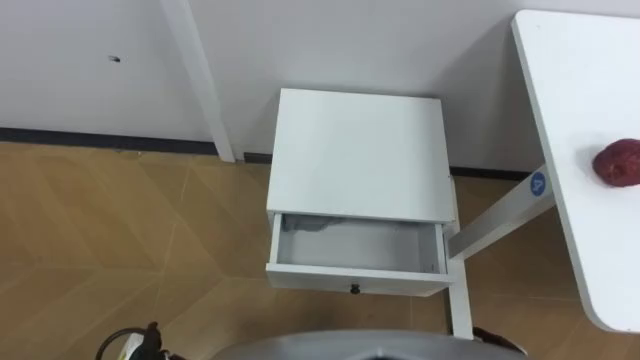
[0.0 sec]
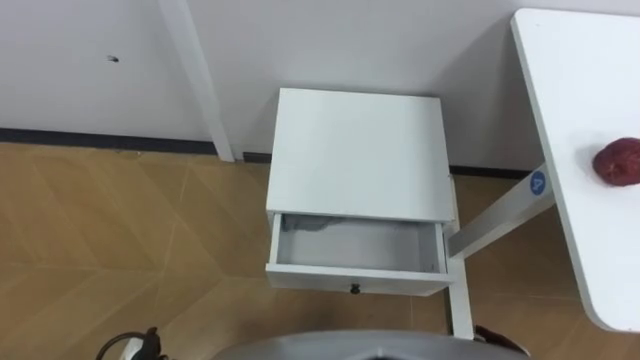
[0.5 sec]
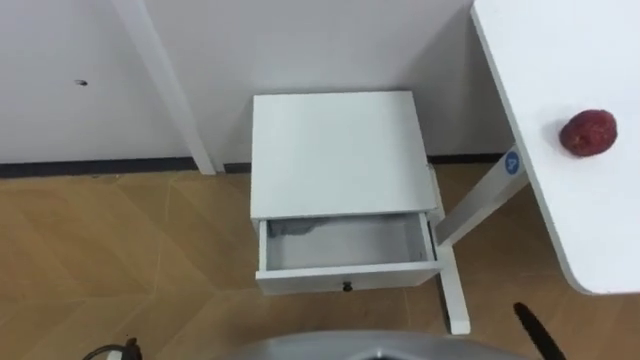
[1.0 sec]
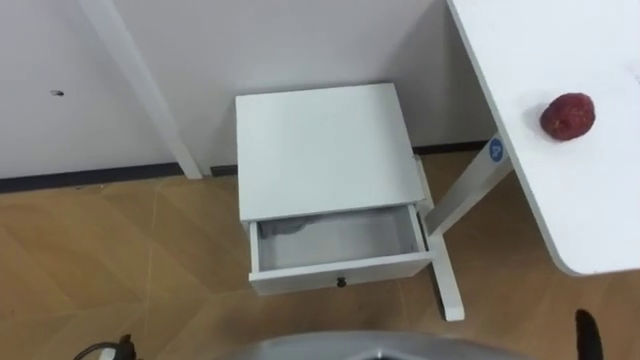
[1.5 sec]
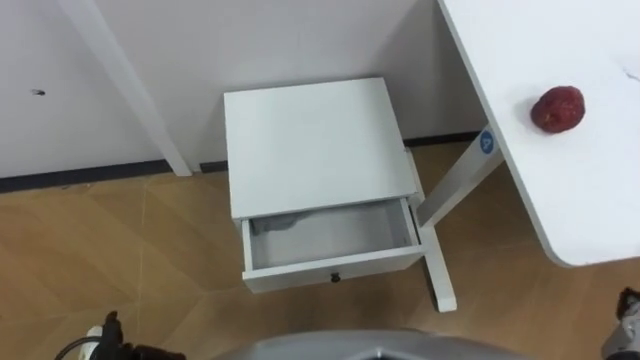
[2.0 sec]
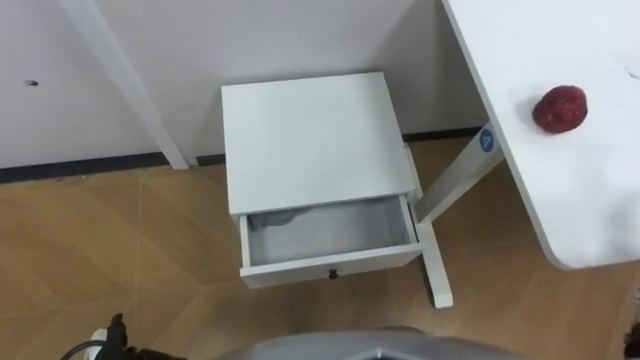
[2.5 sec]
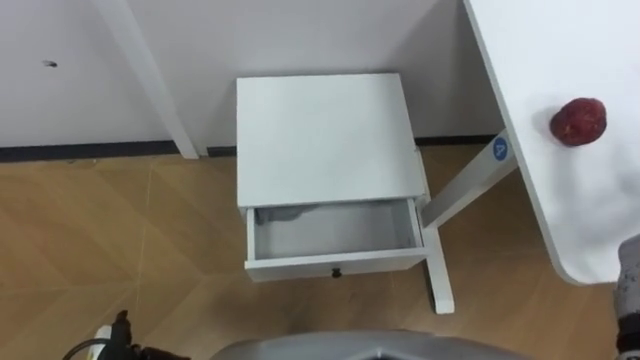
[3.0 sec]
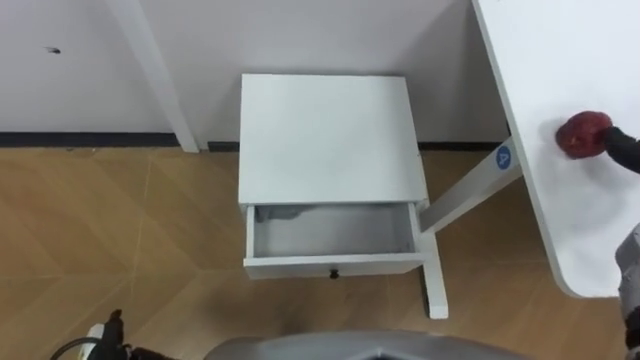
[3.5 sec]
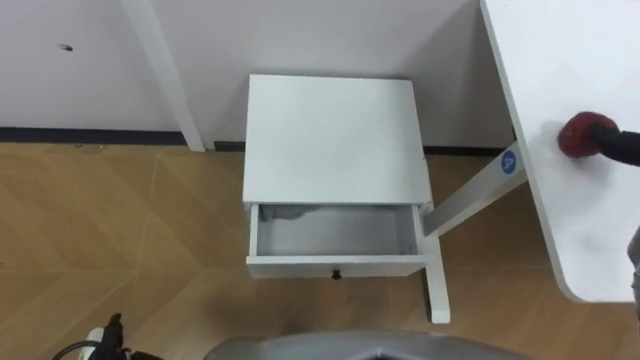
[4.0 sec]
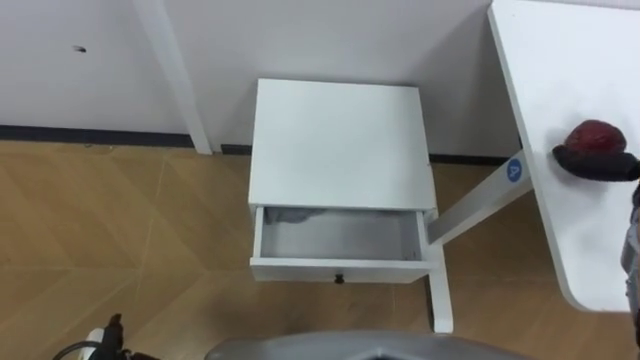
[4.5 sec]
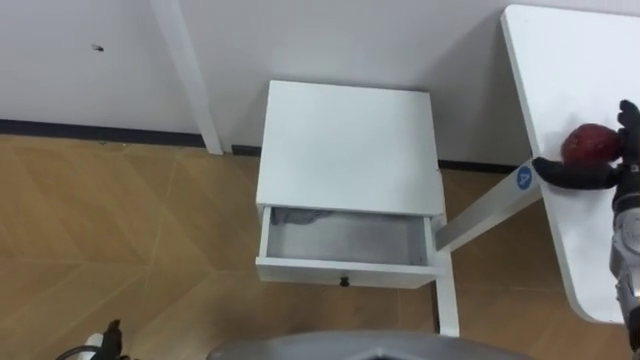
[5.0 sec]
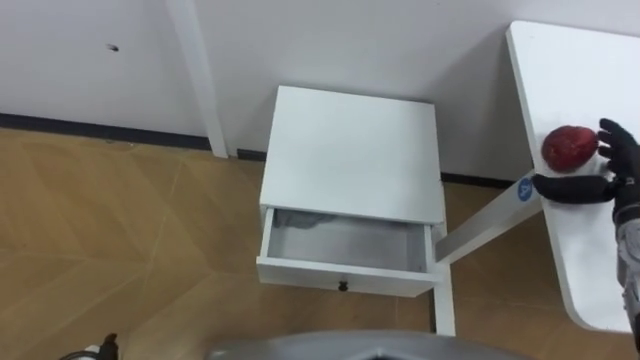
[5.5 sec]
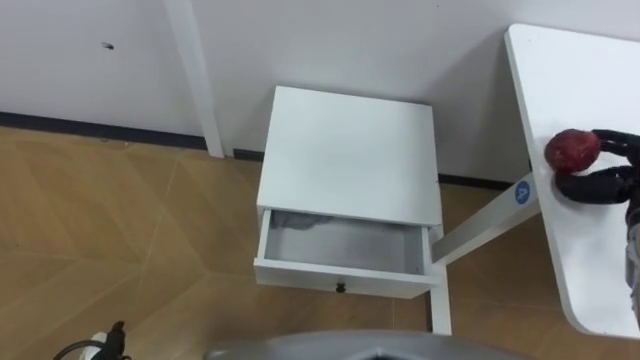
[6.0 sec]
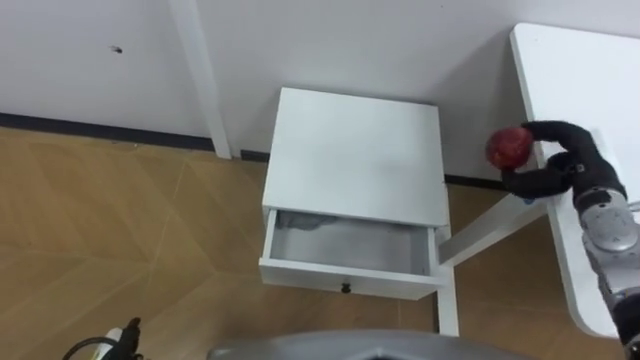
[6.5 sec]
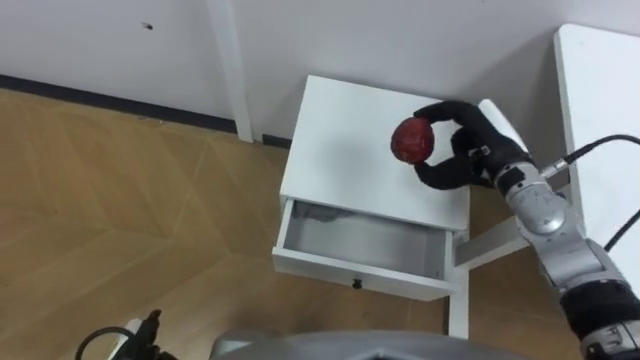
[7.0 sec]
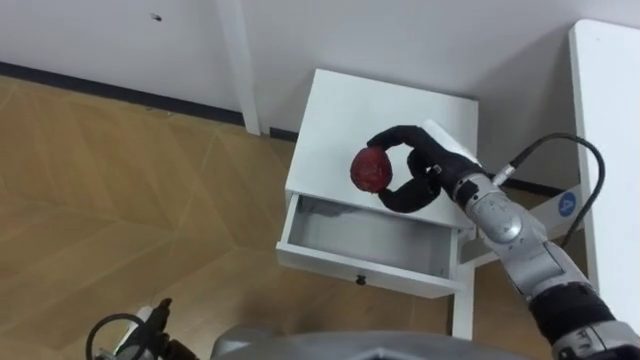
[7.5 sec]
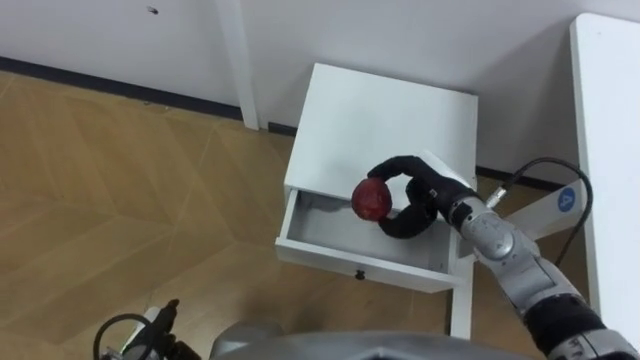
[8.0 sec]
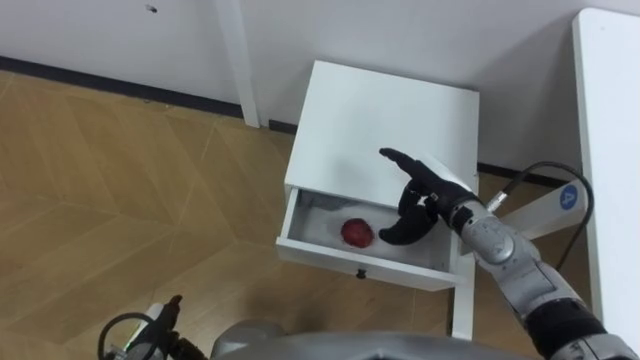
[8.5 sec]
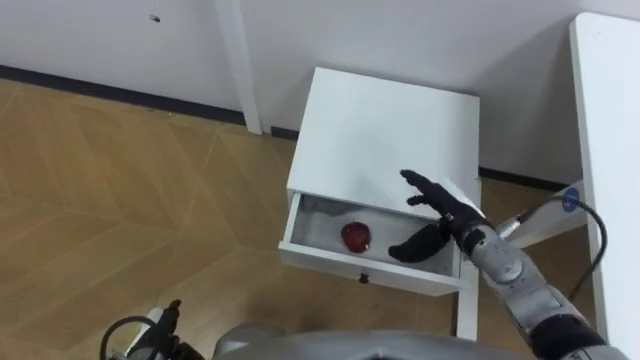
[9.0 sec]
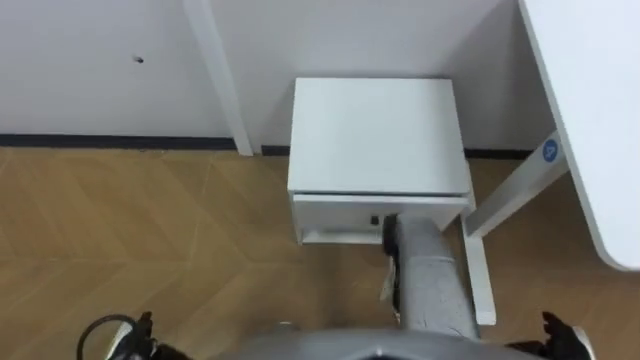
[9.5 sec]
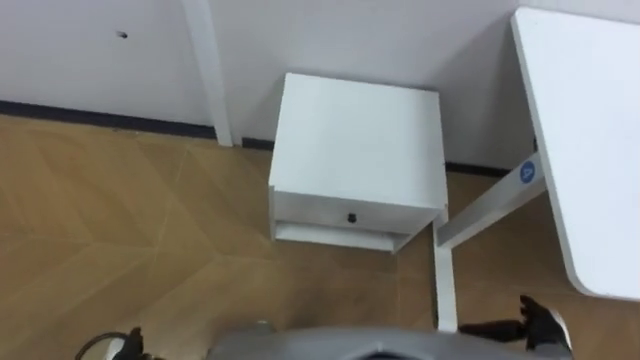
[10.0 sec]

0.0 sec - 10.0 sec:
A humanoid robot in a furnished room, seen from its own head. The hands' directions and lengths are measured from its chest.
Task of the whole recording: Pick up the apple from the table, put it in the drawer, and close the drawer with leg.
6.0 sec - 8.0 sec: The left hand is displaced to the right by some 5 cm; the right hand heads to the left, covering some 25 cm.

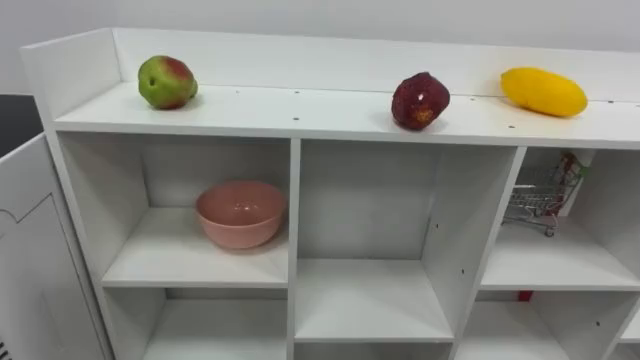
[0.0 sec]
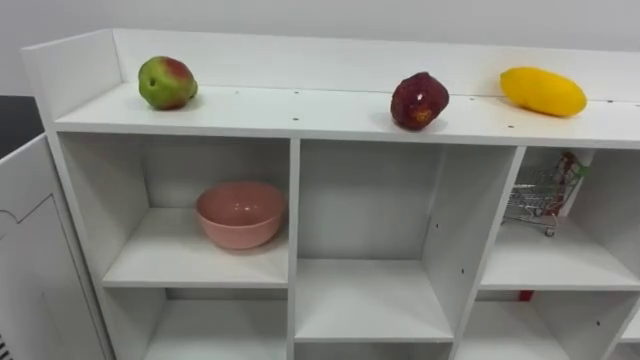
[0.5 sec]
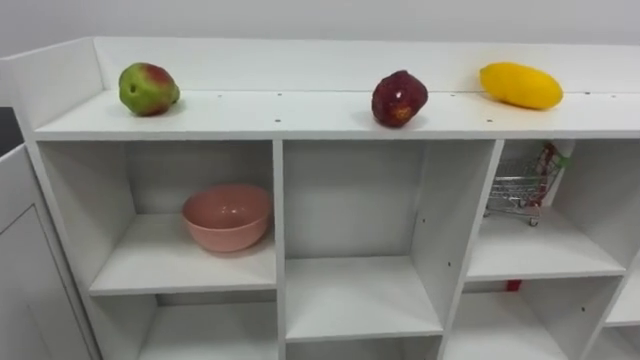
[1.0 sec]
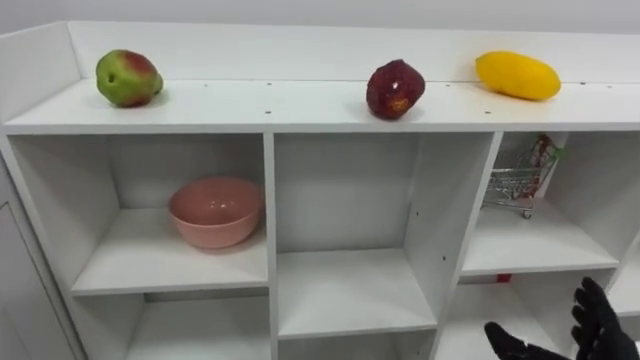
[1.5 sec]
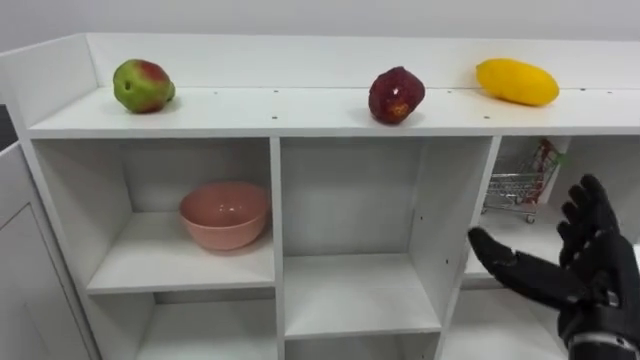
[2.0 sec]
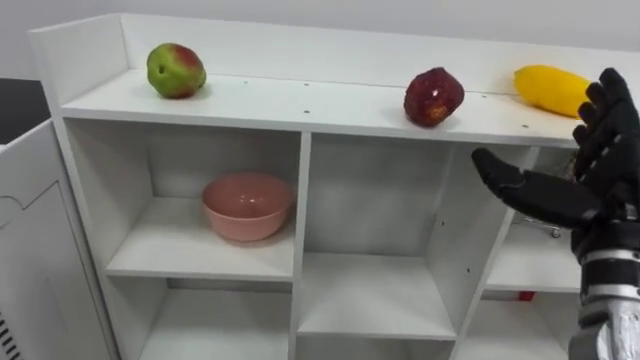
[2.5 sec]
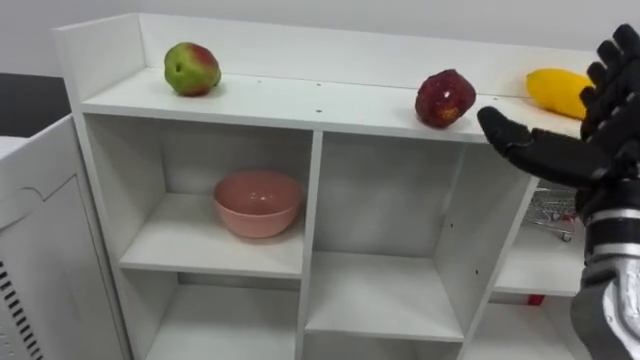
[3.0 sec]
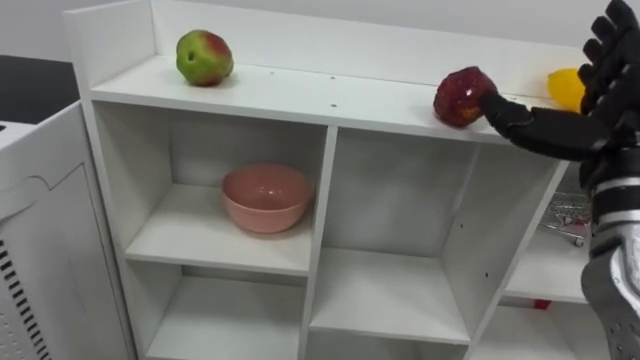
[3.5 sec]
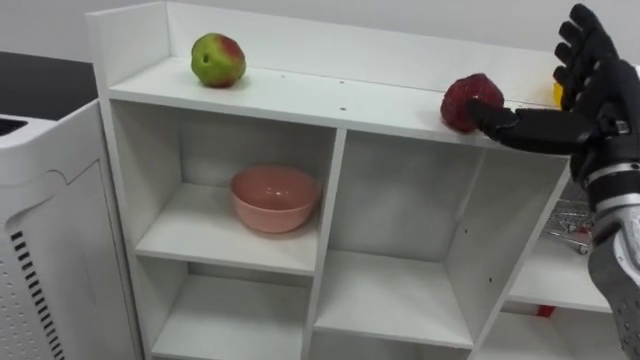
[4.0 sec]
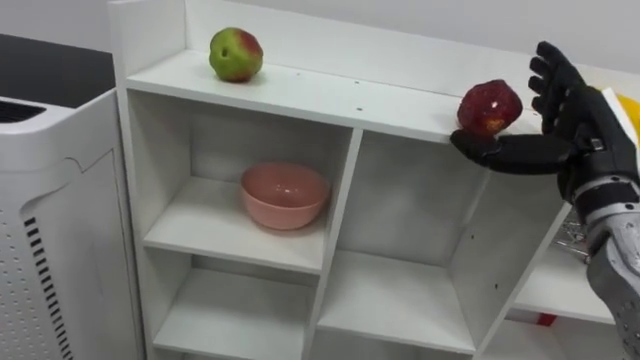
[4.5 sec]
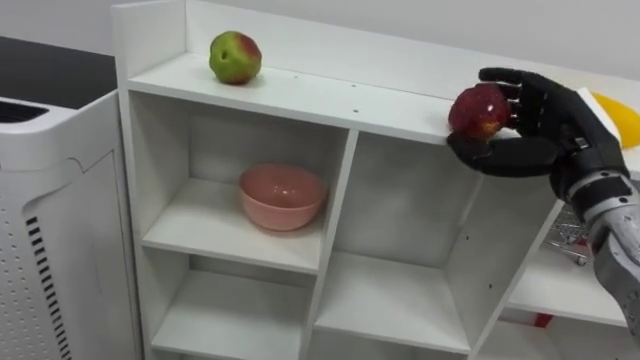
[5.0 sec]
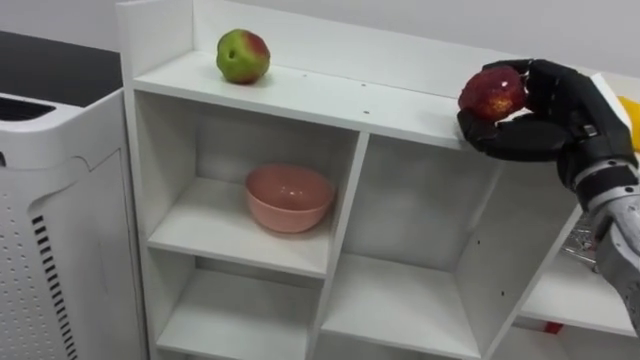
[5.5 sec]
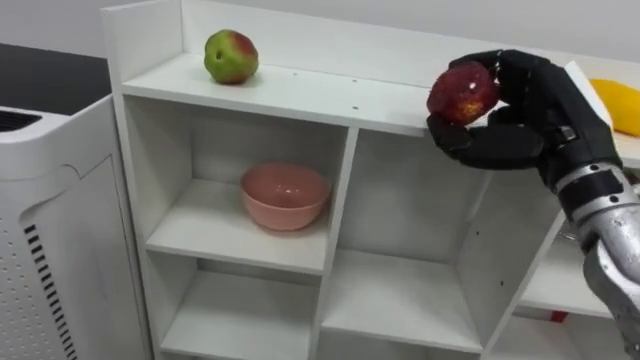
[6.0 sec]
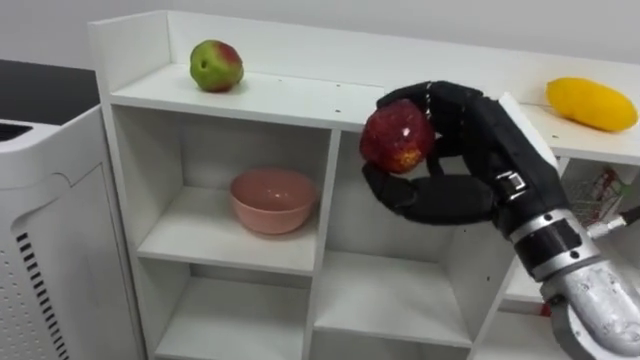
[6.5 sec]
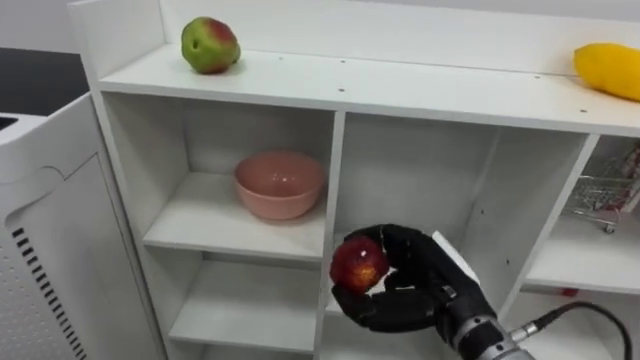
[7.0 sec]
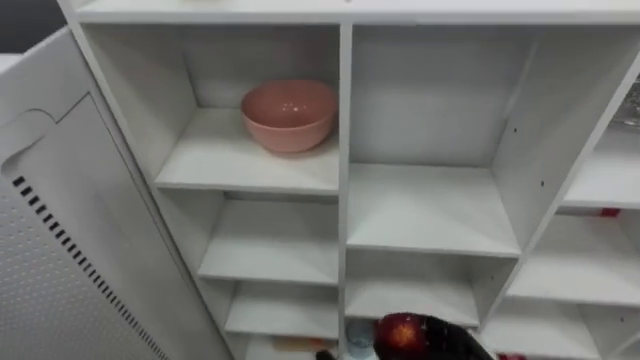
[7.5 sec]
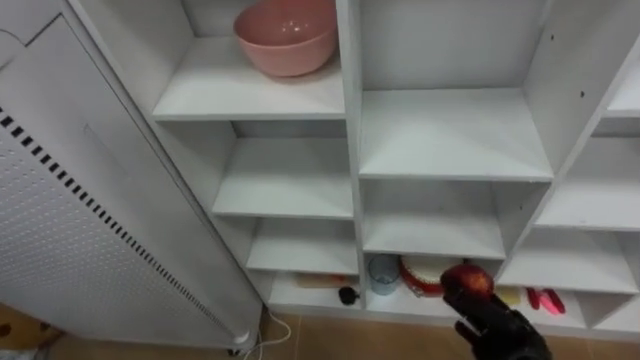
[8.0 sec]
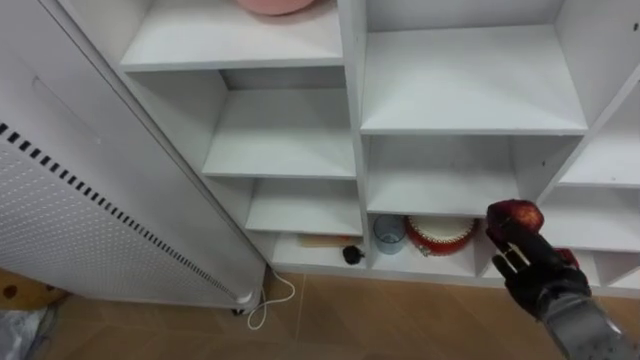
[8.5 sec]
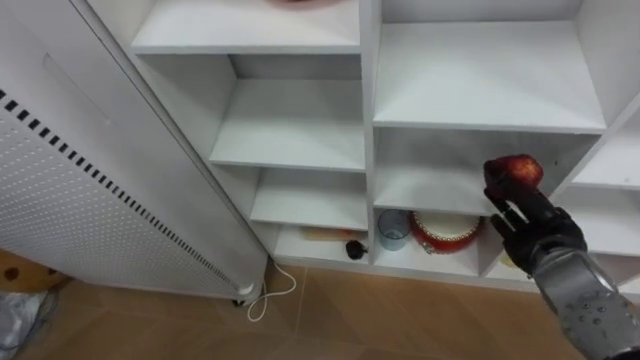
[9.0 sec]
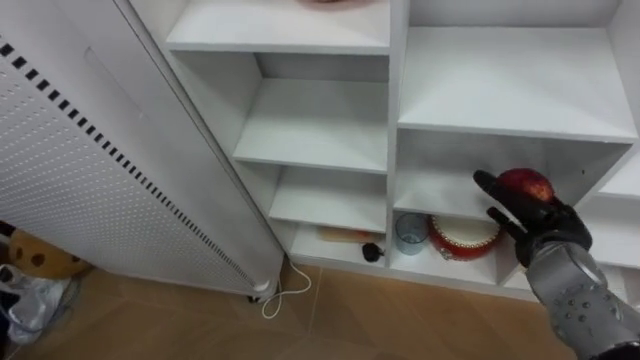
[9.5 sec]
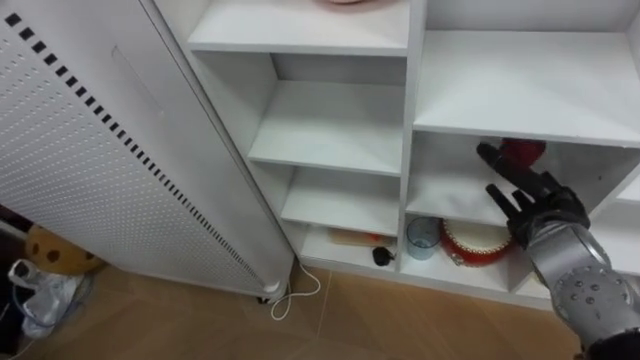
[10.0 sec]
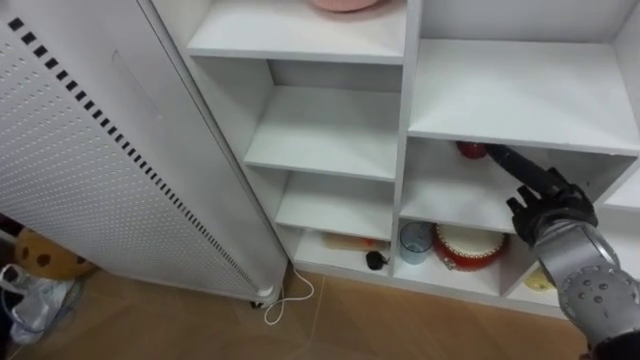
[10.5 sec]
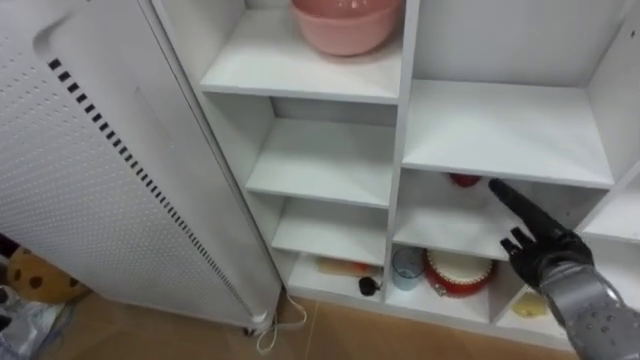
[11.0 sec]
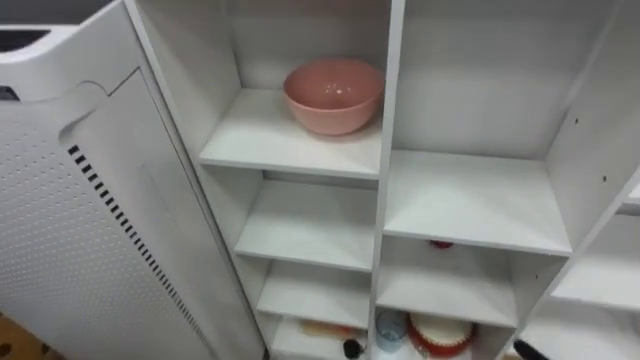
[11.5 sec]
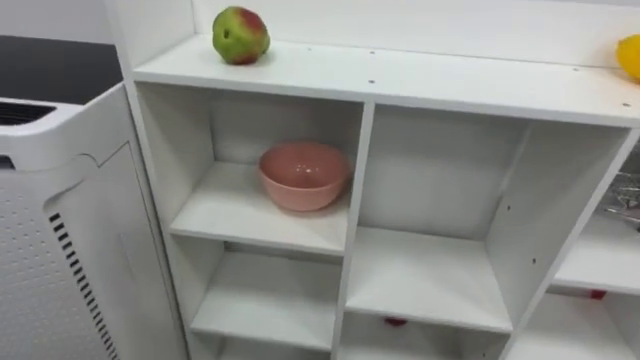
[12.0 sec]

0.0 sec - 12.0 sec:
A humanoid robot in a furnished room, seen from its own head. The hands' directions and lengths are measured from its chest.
Task of the whole recording: Put the apple in the cell in the second column from the left and the second row from the top.
2.0 sec - 4.0 sec: The right hand heads upward and forward, covering some 15 cm.
4.0 sec - 6.0 sec: The right hand closes.
8.0 sec - 10.0 sec: The right hand is displaced upward and forward by some 15 cm, and opens up.
